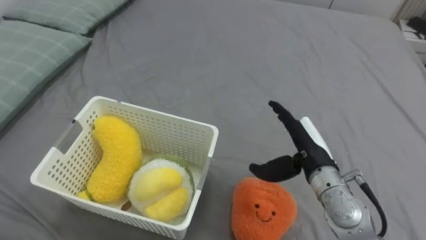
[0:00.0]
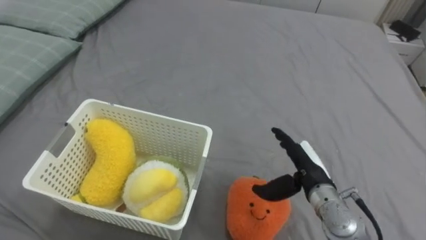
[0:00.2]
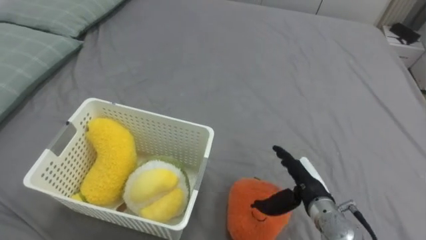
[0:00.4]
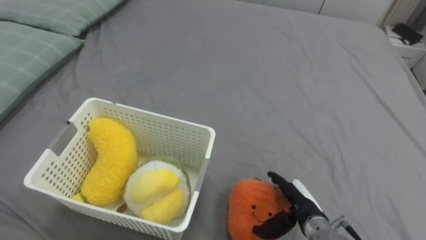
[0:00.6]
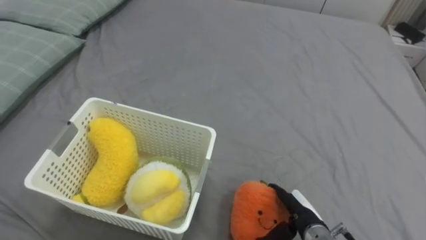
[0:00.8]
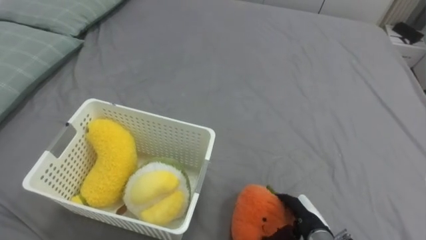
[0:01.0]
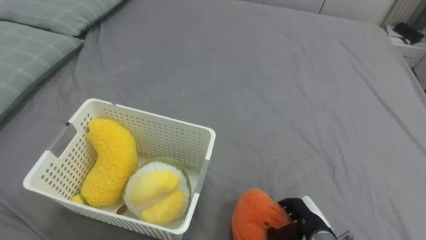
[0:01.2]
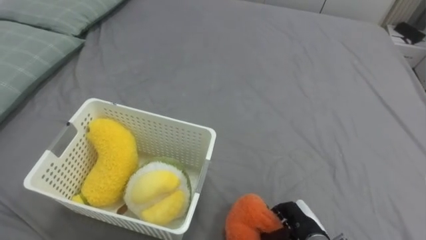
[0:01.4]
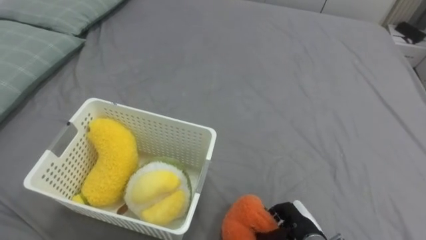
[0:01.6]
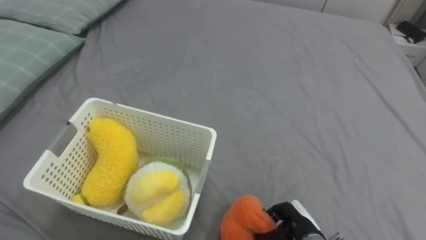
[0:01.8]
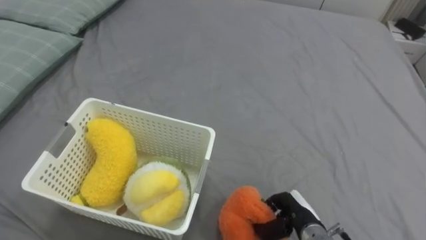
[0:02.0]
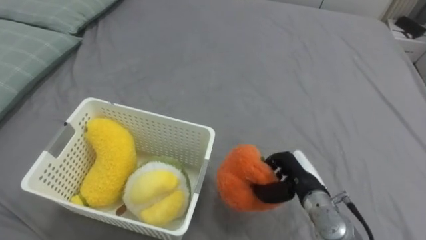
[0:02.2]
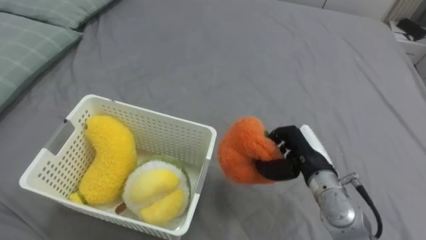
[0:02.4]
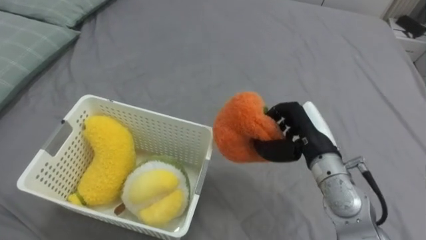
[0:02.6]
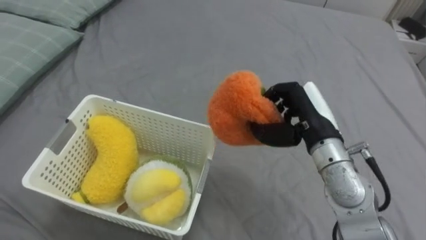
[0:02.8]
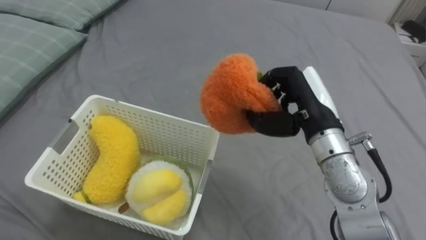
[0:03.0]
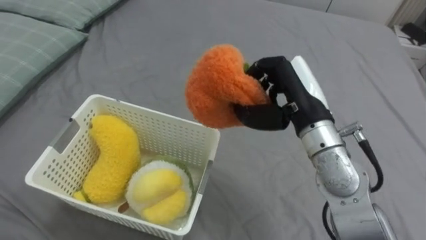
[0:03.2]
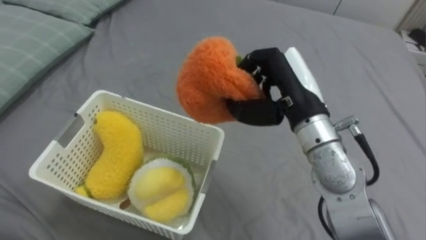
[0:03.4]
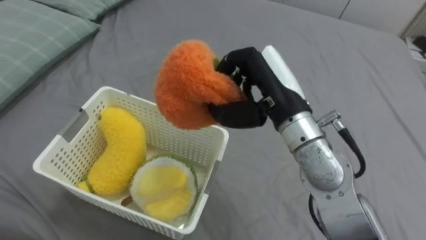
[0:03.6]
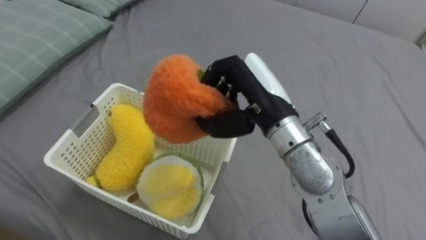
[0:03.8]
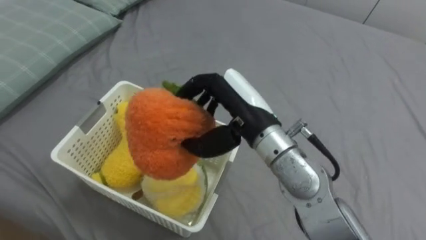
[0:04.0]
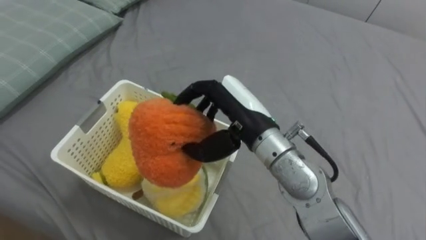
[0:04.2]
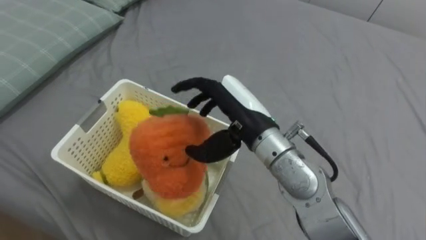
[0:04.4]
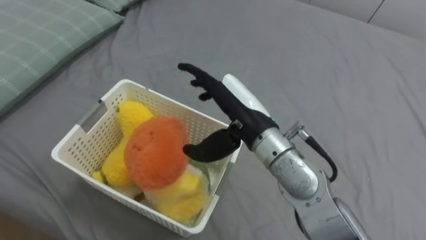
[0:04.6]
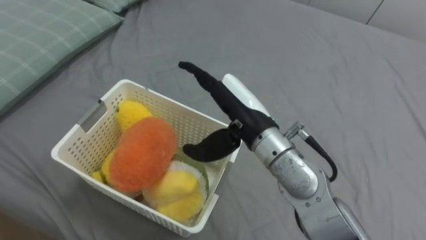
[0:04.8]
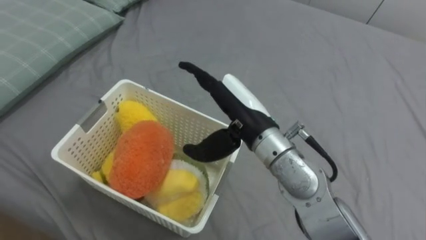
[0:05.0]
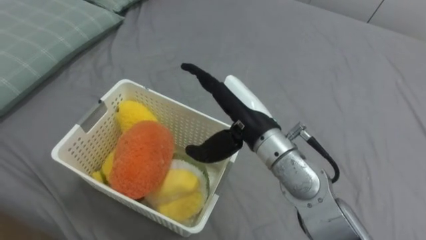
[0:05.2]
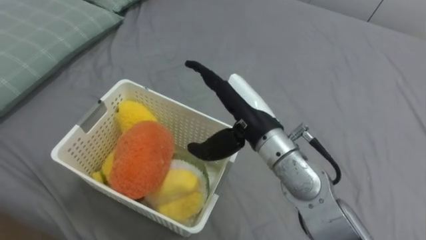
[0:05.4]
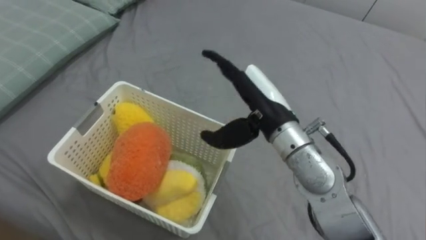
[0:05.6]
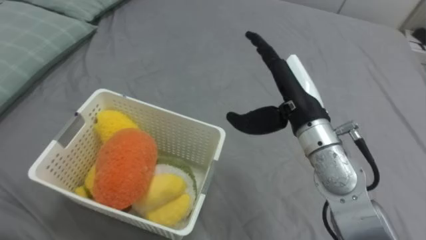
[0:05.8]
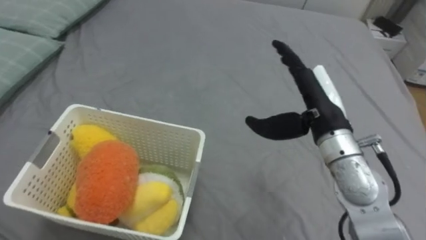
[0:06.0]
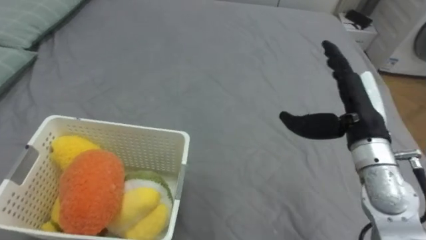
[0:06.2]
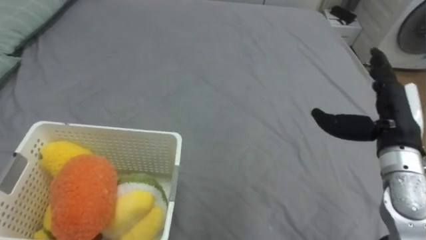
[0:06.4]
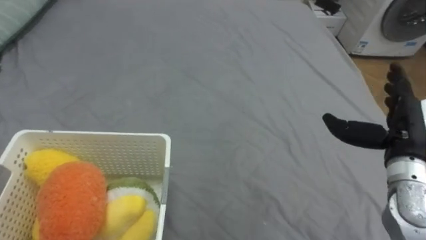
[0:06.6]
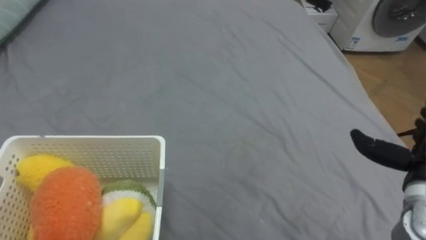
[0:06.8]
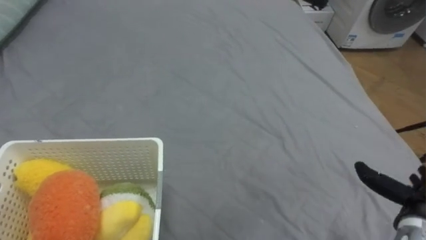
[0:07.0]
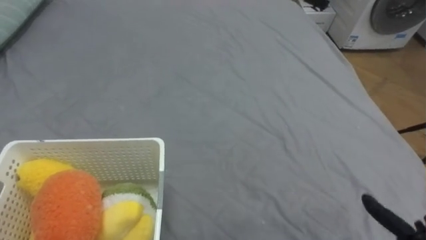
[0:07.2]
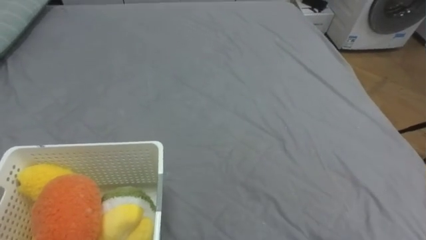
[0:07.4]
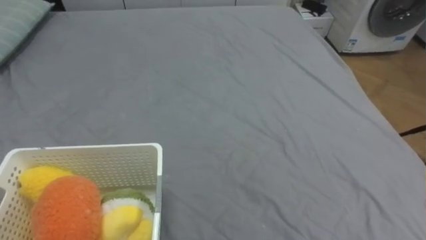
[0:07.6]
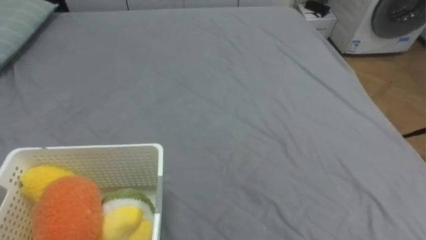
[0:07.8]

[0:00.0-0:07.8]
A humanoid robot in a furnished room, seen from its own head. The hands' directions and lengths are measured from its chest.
Task of the whole recording: Put the toys on the bed into the basket on the left.
0:00.0 to 0:01.6: The right hand heads downward and backward, covering about 20 cm, and closes.
0:01.6 to 0:03.2: The right hand is displaced upward and forward by roughly 30 cm.
0:03.2 to 0:04.6: The right hand is displaced to the left by approximately 10 cm, and opens its fingers.
0:04.6 to 0:06.2: The right hand moves to the right, roughly 20 cm.

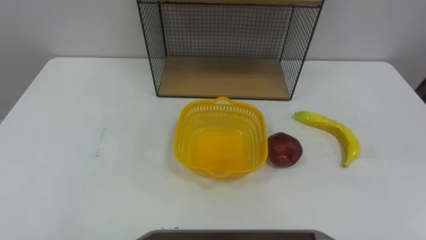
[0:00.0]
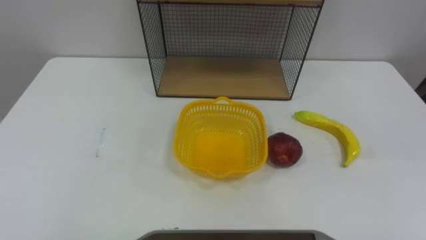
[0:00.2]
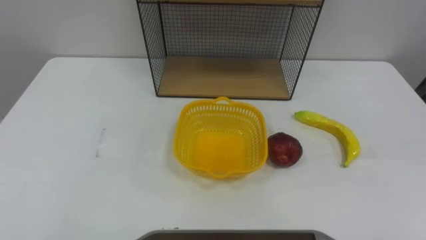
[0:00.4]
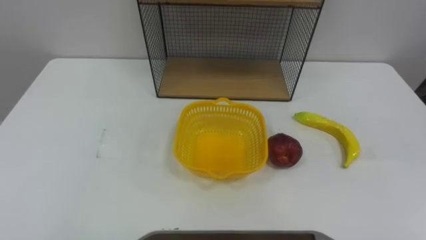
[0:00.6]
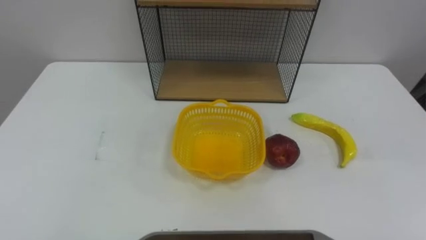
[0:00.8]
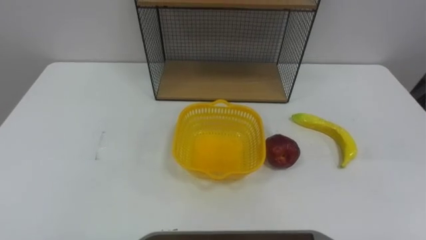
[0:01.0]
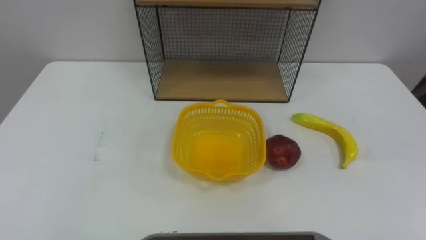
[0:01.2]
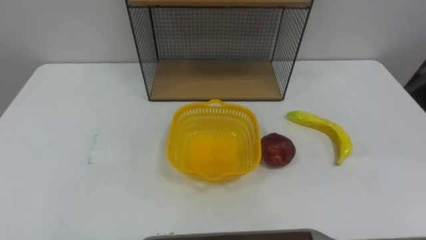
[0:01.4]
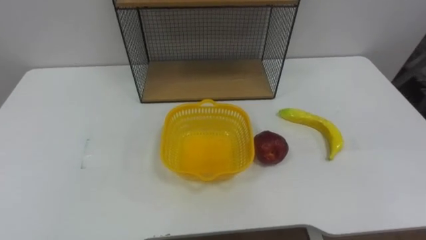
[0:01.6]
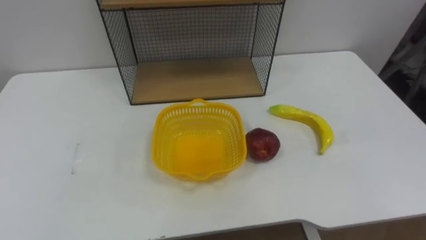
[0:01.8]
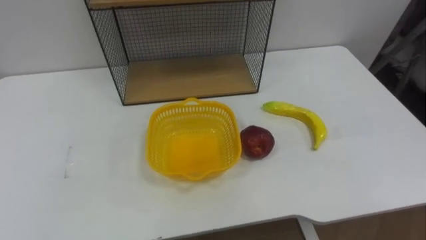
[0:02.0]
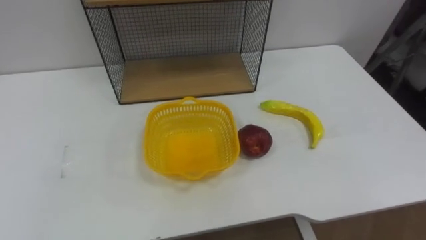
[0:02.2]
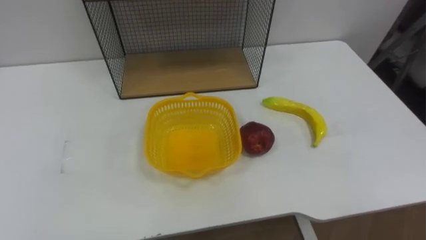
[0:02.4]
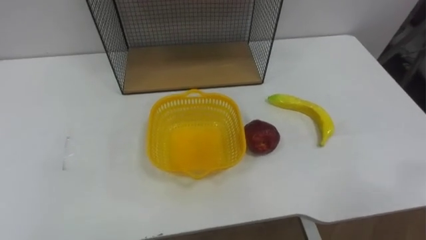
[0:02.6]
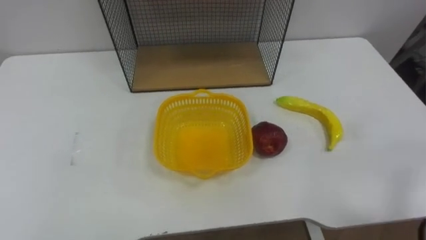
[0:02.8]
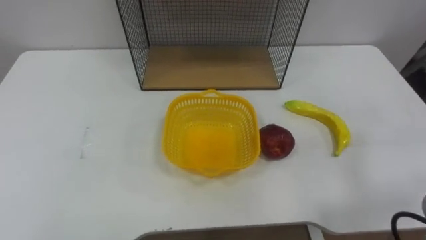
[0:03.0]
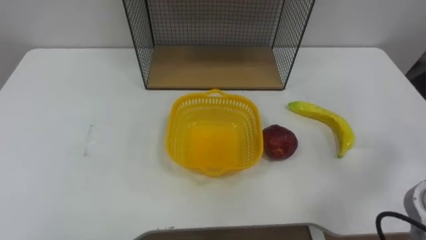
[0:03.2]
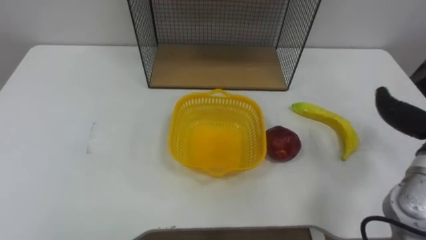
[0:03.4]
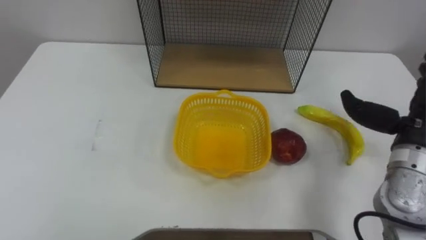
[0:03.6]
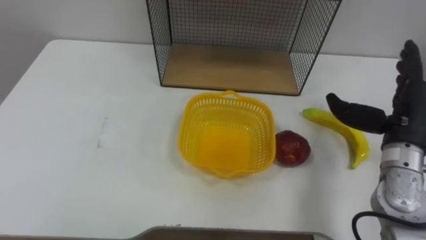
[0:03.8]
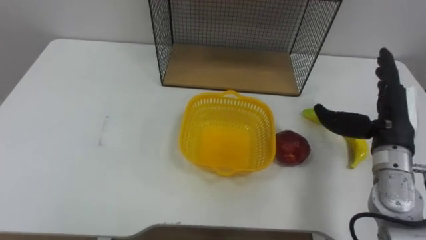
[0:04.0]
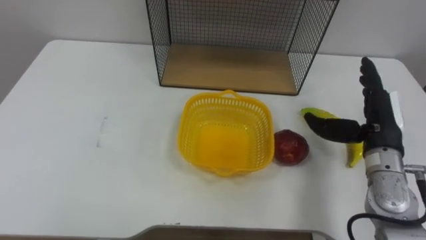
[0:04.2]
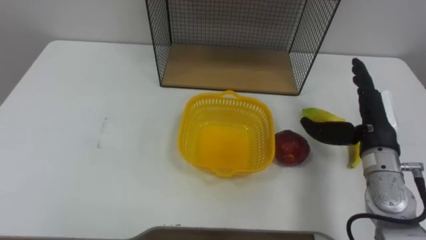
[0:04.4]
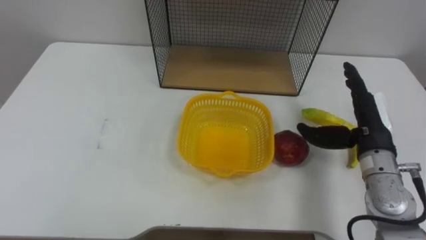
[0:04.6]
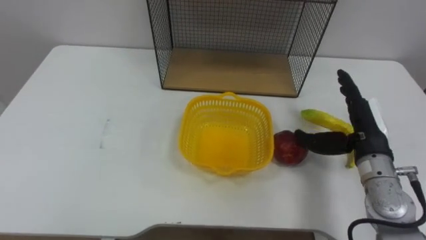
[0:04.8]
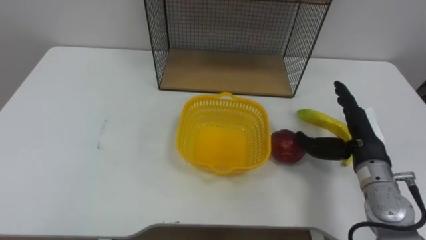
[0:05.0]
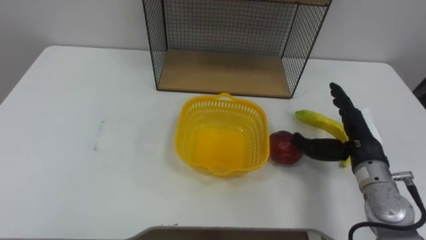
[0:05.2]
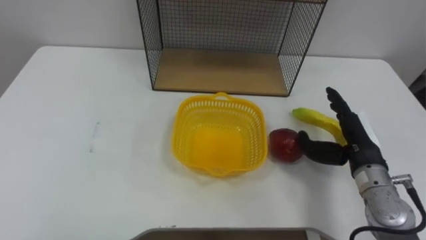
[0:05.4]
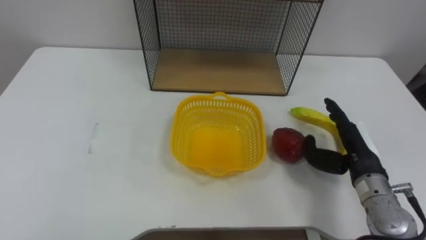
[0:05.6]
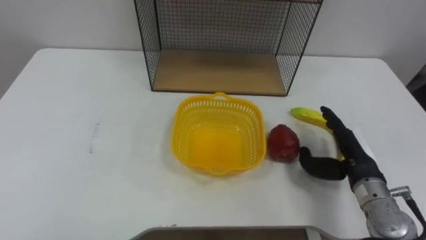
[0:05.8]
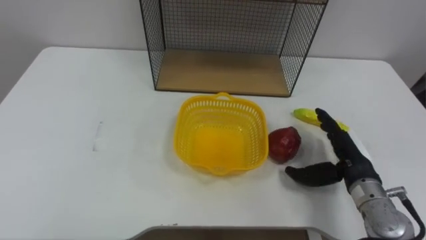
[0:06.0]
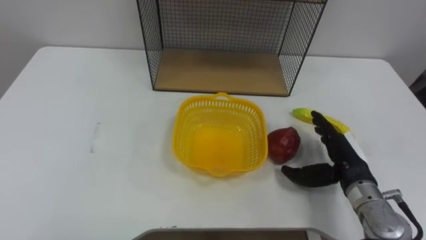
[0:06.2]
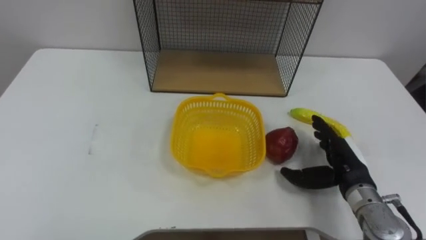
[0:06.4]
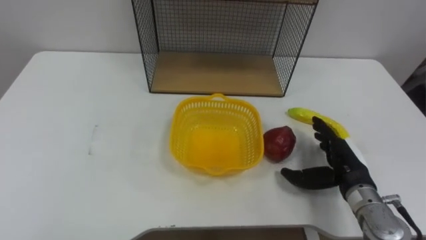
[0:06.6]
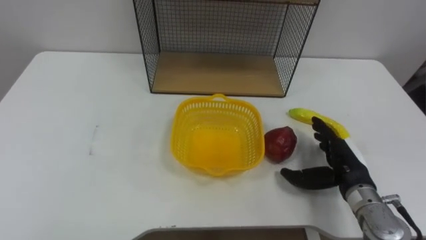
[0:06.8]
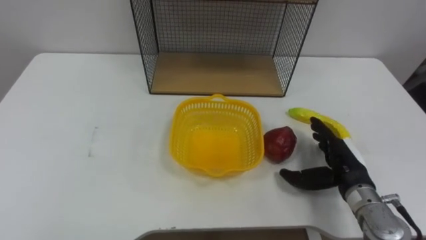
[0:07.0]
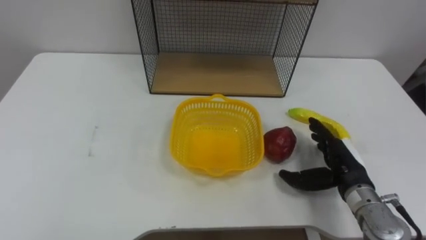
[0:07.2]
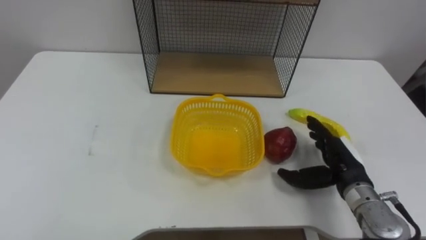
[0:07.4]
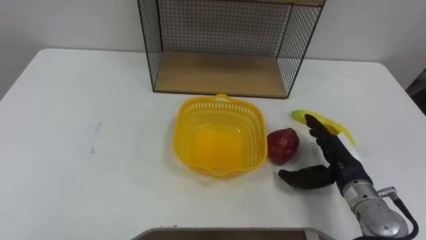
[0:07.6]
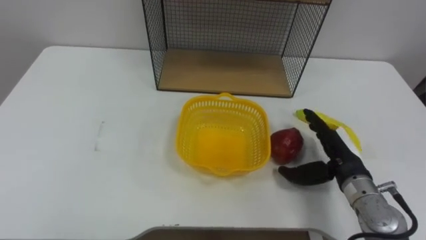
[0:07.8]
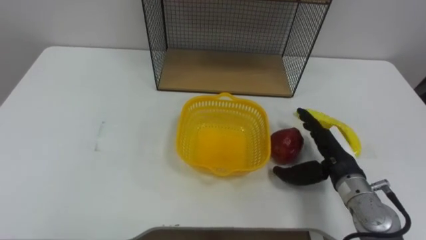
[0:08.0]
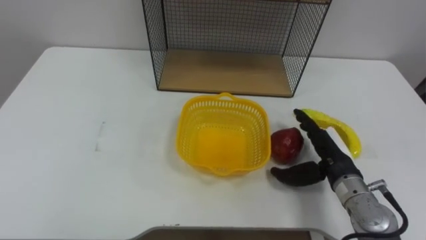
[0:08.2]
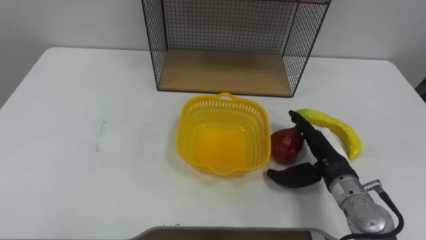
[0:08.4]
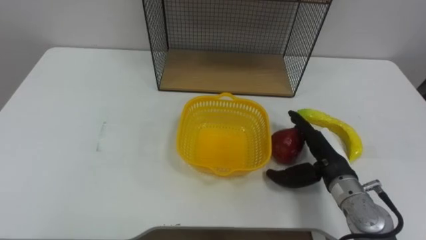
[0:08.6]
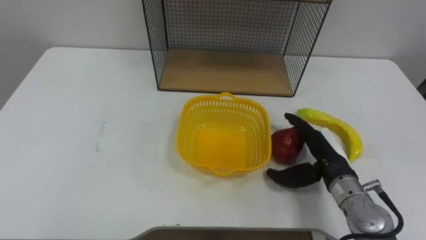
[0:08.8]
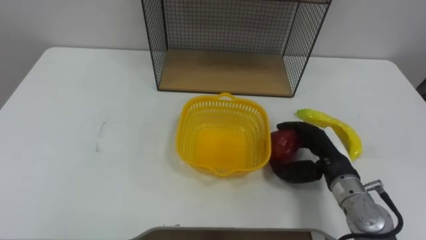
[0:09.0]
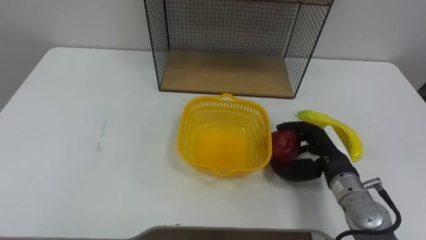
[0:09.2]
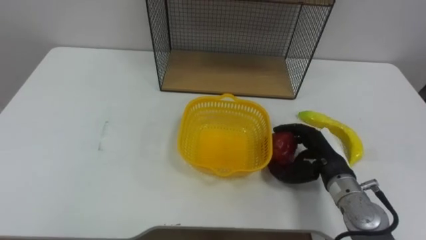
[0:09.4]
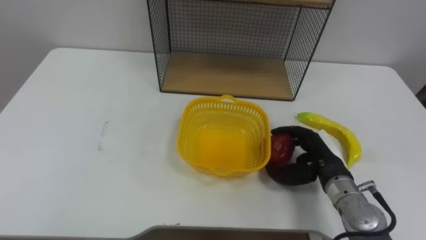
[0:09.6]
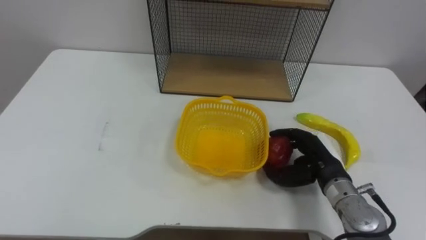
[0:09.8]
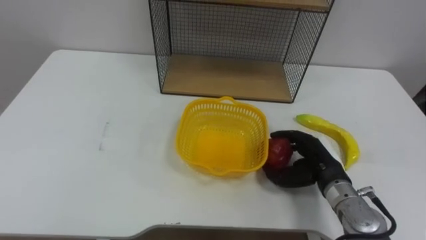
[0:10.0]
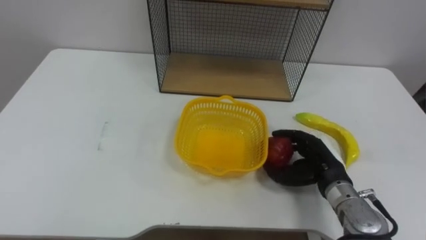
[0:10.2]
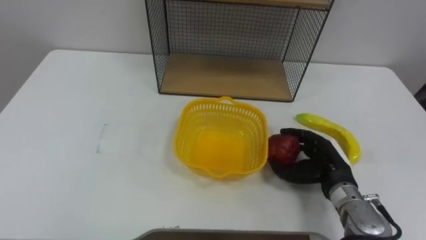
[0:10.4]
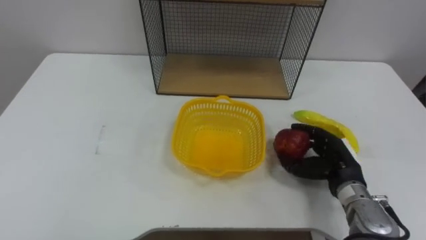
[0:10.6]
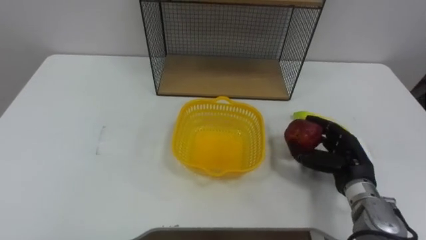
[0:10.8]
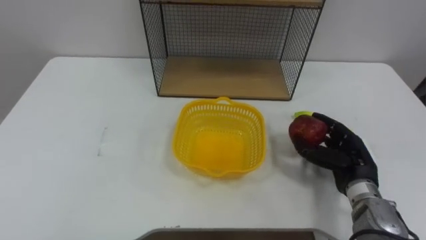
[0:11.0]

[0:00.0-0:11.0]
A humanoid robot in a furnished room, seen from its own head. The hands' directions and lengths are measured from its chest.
Task of the whole recording: Put the fruit on the table into the basket, then place the basket on the shelf.
0:04.8 to 0:06.2: The right hand is displaced downward by some 5 cm.
0:07.8 to 0:09.4: The right hand closes its fingers.
